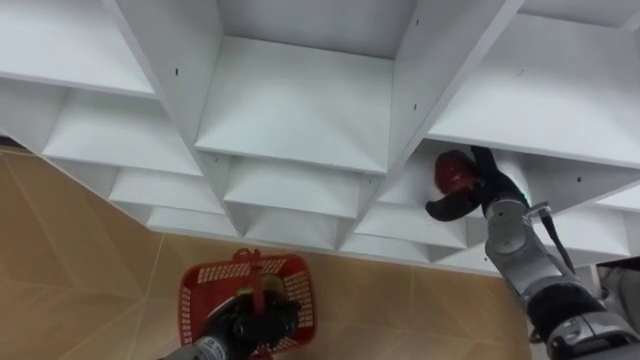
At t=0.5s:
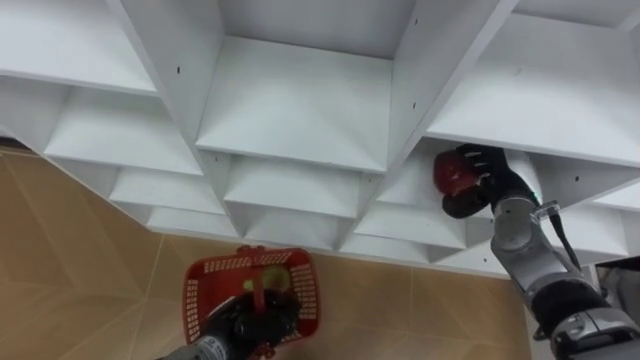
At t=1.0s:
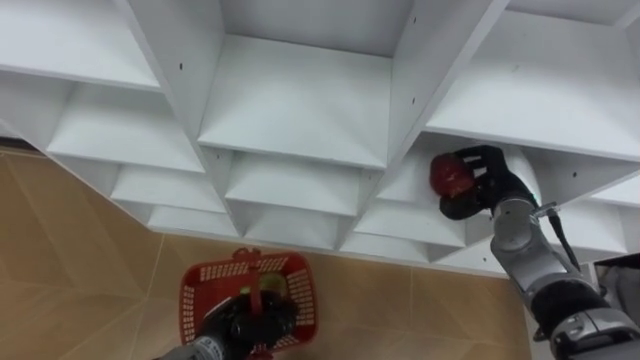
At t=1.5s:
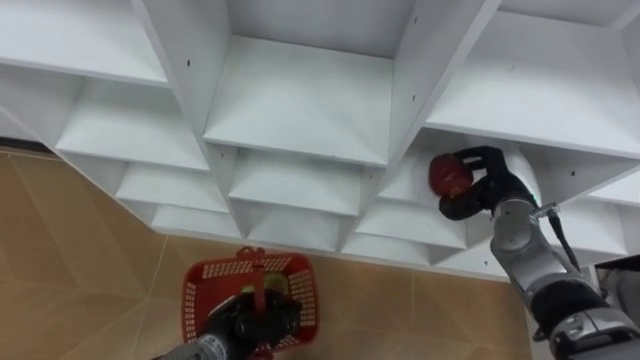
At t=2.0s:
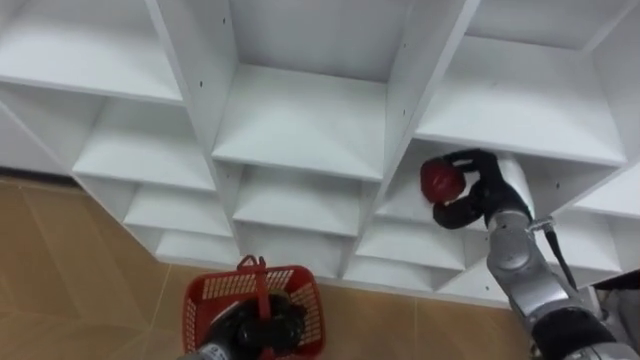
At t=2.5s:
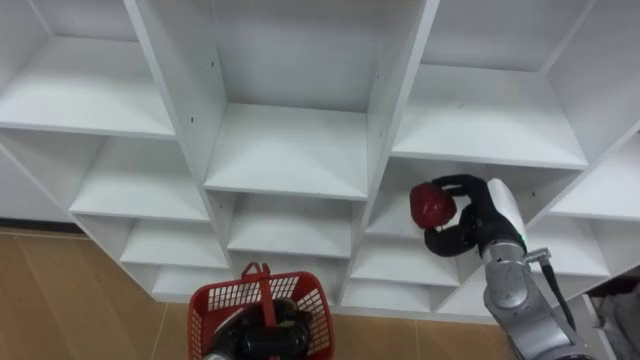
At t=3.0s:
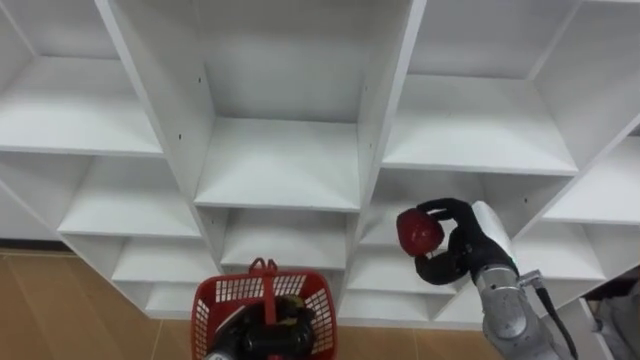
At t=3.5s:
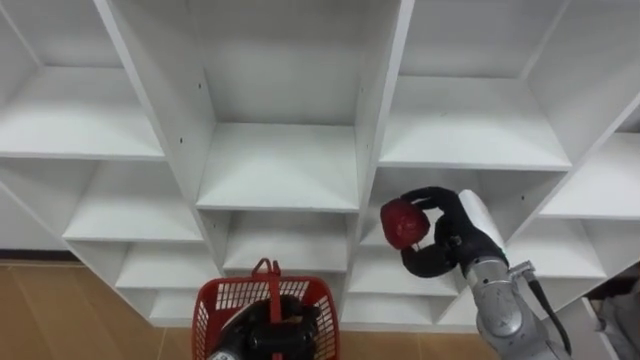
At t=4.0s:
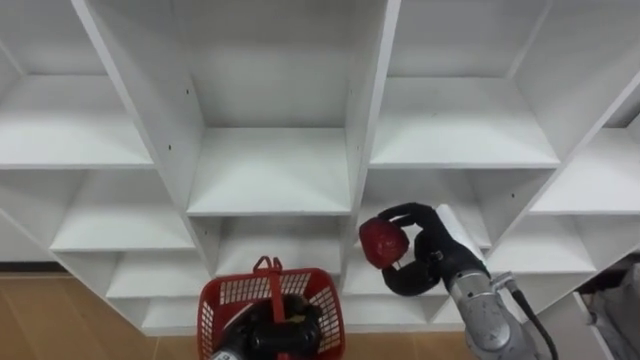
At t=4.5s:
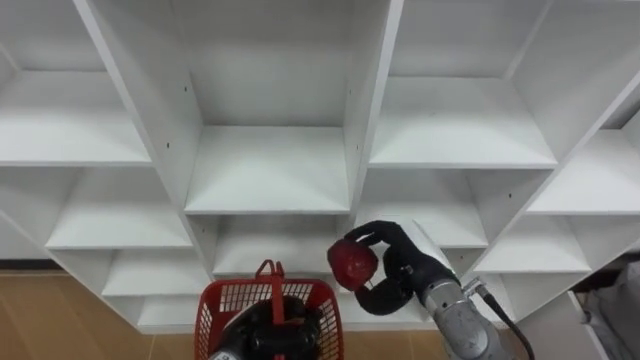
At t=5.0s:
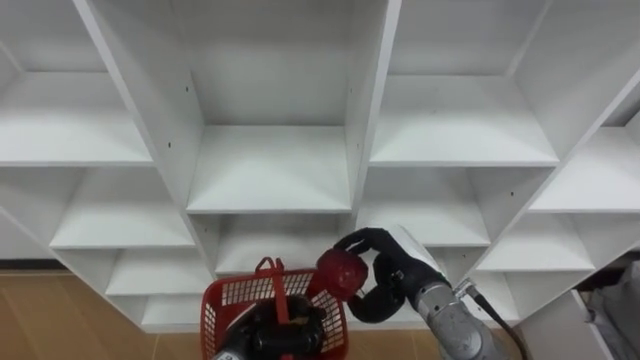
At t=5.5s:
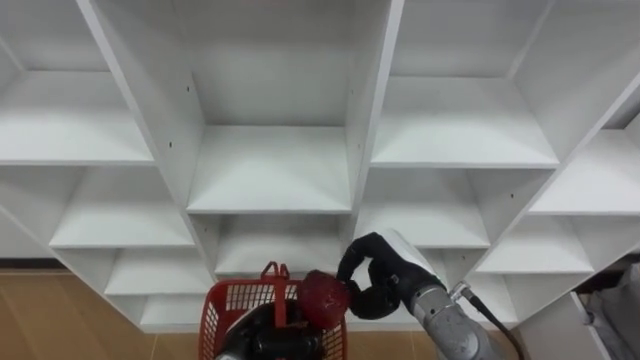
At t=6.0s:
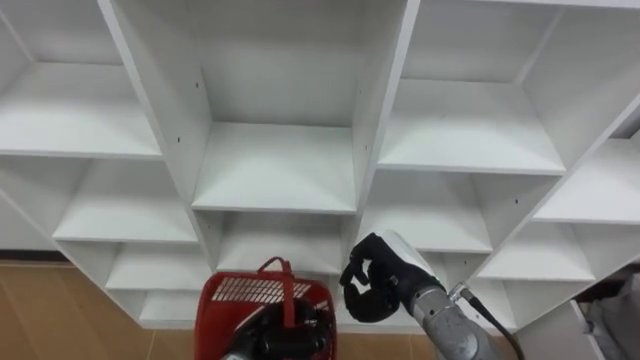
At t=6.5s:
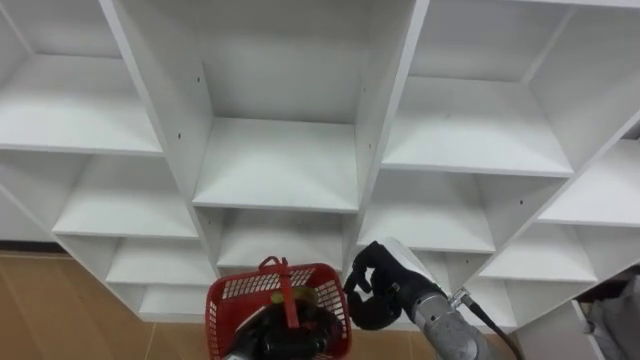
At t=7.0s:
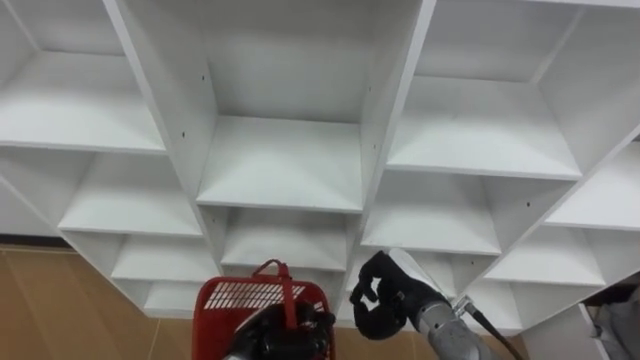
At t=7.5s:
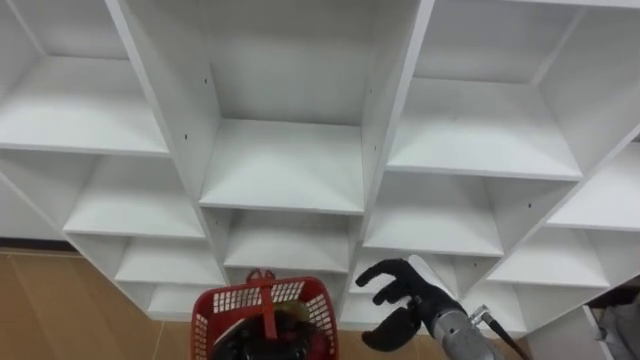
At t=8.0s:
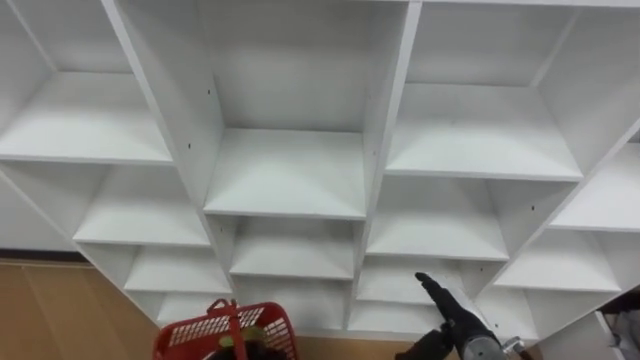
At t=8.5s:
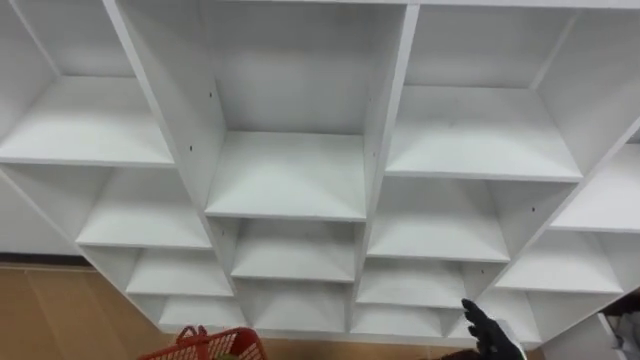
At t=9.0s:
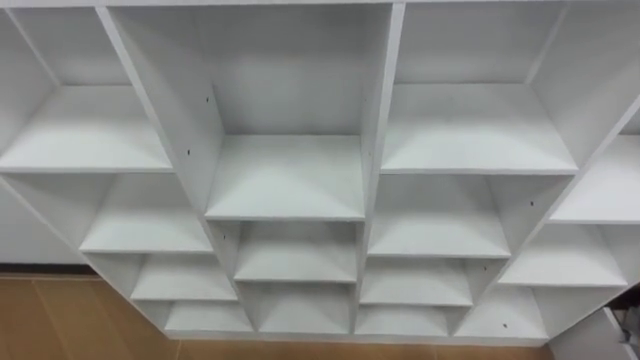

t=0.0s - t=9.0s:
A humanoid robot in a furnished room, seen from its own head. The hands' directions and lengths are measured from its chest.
Task of the whole recording: Hold the basket and collect the fruits from 3 different cells of the closet into it.
t=0.0s - t=2.0s: The right hand closes.
t=2.0s - t=4.5s: The right hand heads to the left and backward, covering some 15 cm.

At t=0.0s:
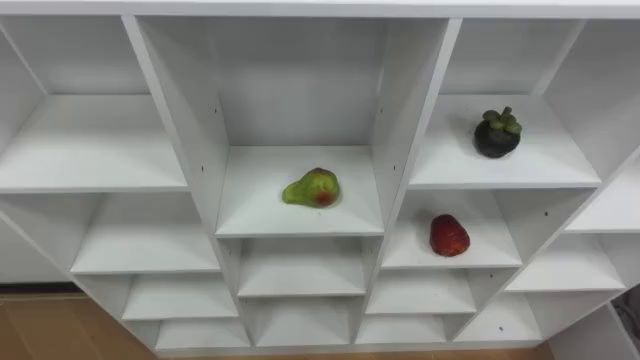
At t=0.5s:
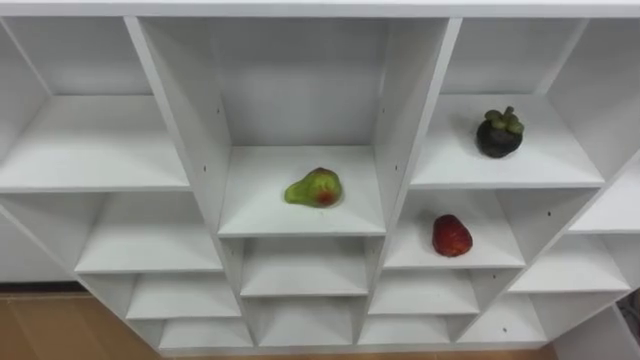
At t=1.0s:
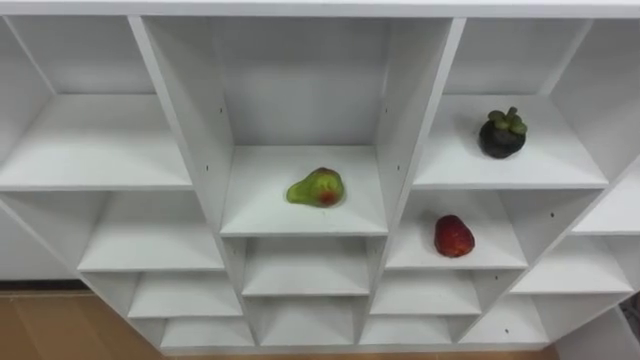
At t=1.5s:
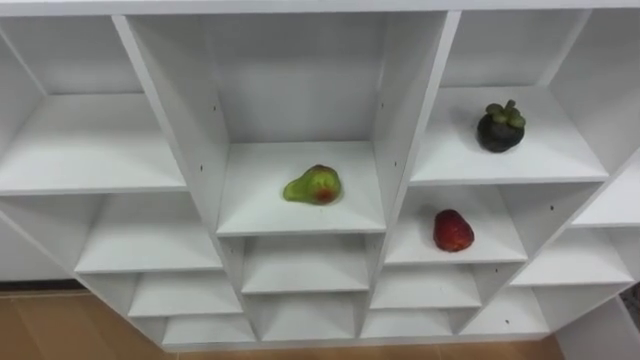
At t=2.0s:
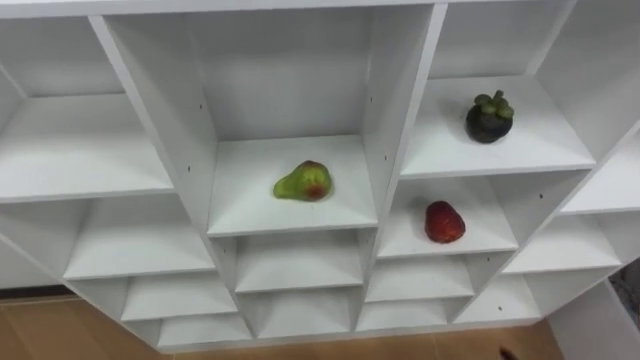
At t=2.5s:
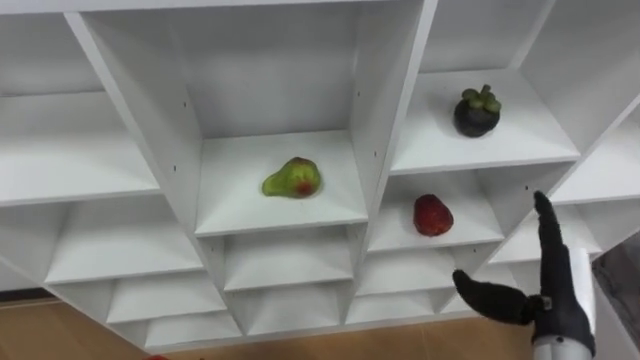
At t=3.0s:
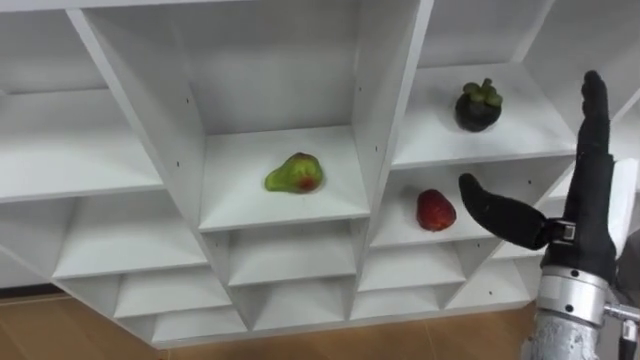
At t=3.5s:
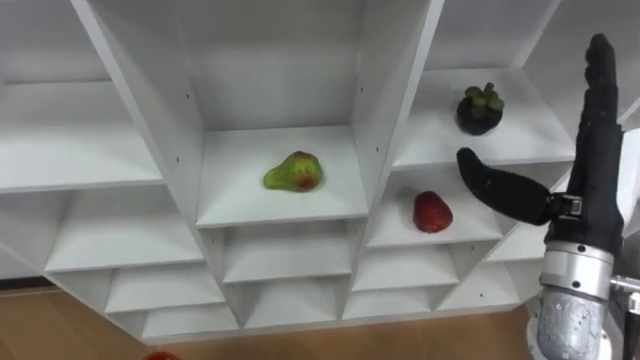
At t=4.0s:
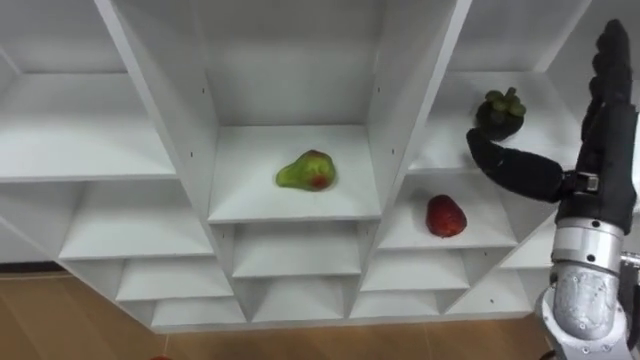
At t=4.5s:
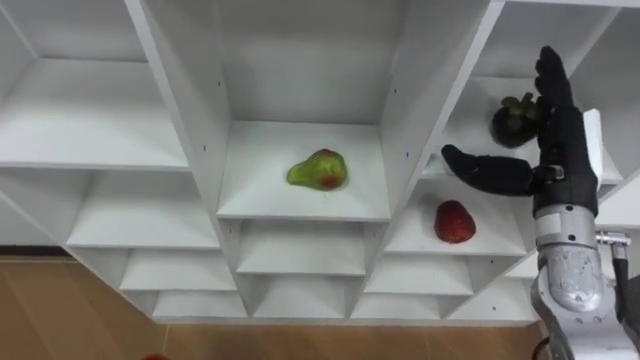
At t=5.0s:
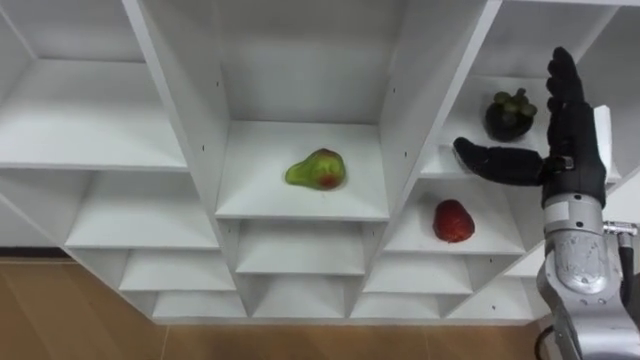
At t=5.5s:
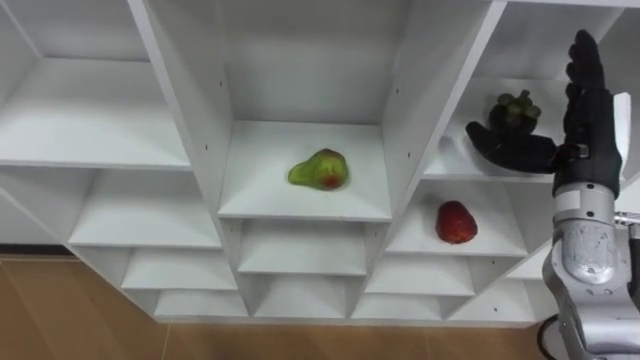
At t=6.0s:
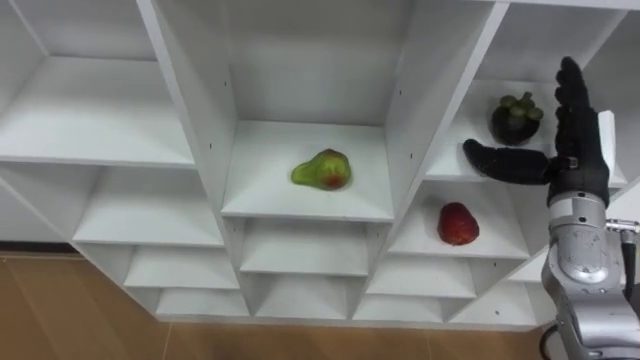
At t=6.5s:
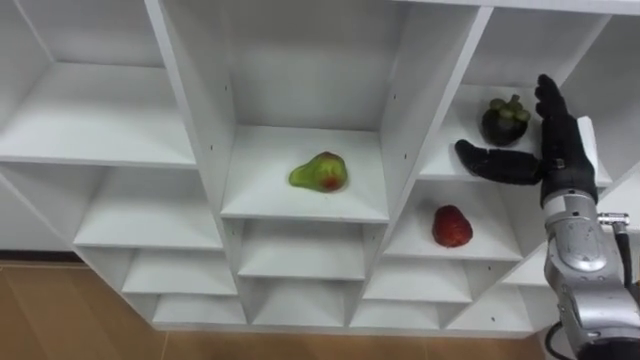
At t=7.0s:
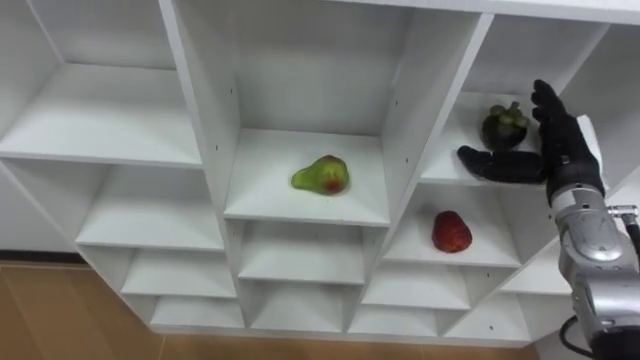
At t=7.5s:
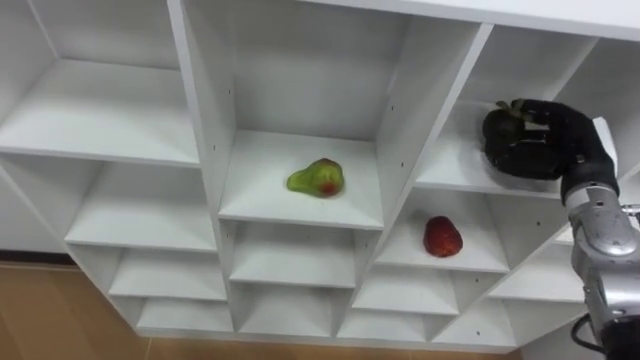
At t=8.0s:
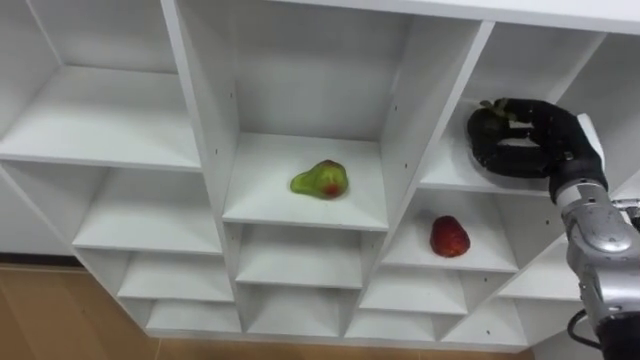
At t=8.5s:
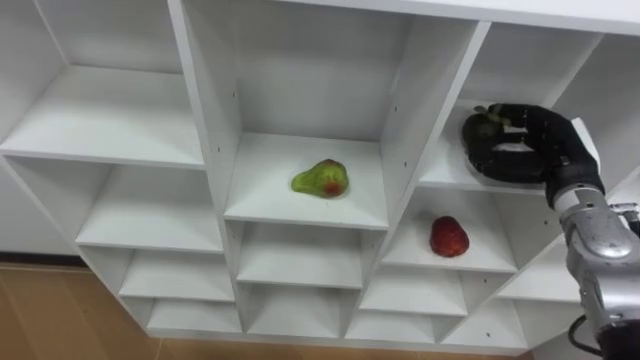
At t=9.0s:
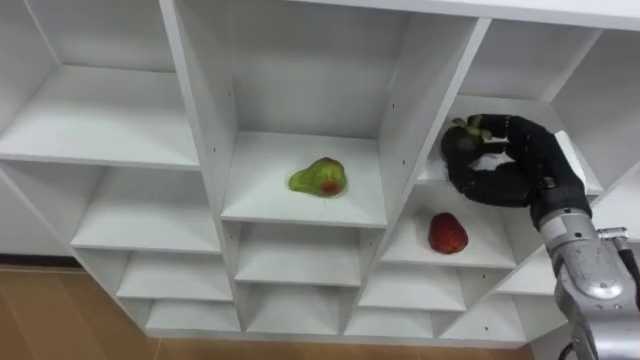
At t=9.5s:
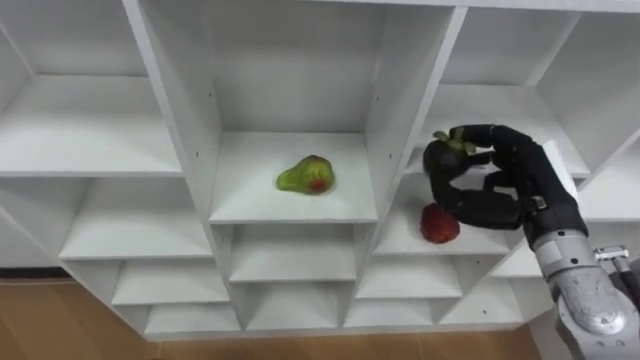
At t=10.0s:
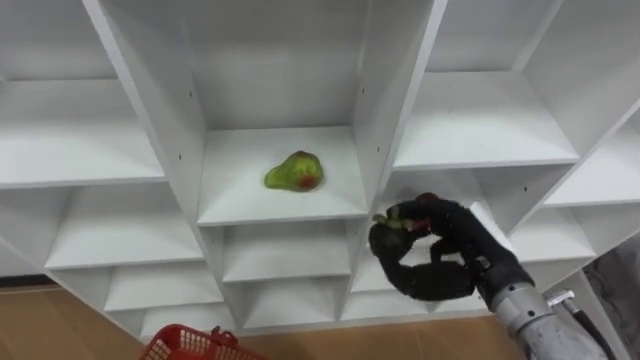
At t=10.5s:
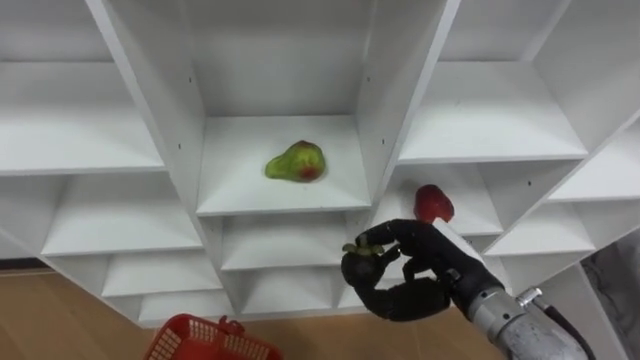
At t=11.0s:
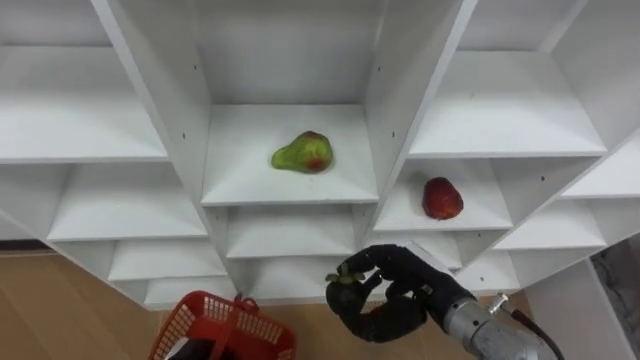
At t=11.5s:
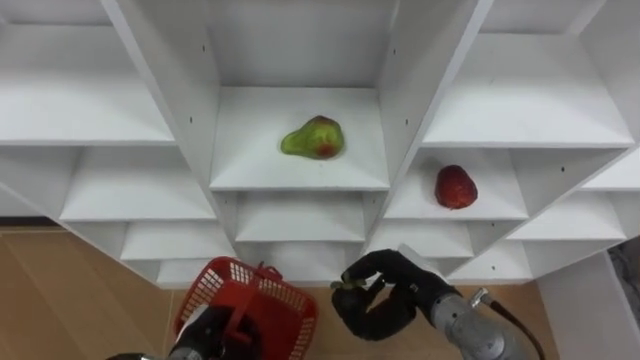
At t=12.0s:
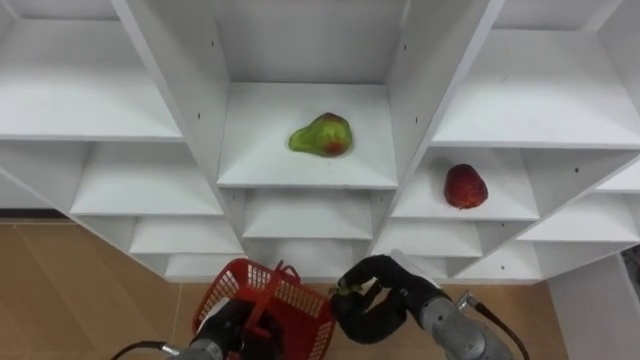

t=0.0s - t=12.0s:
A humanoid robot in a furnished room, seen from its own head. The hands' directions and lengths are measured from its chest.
Task of the whole recording: Hold the basket and collect the fruits from 3 different cells of the closet into it.
t=4.0s - t=6.0s: The right hand heads forward and downward, covering about 10 cm.
t=6.0s - t=8.0s: The right hand moves roughly 5 cm, and closes its fingers.
t=8.0s - t=10.0s: The right hand moves backward and to the left, roughly 15 cm.
t=10.0s - t=12.0s: The right hand is displaced downward and to the left by roughly 15 cm.
